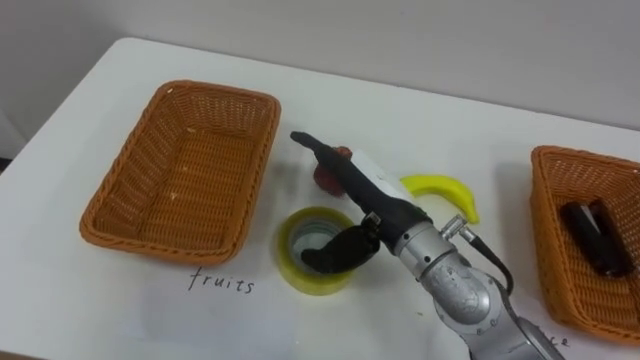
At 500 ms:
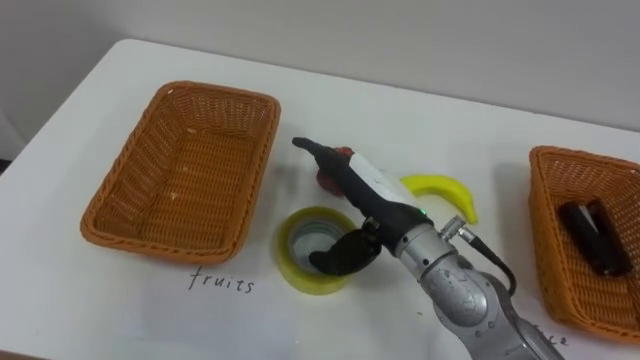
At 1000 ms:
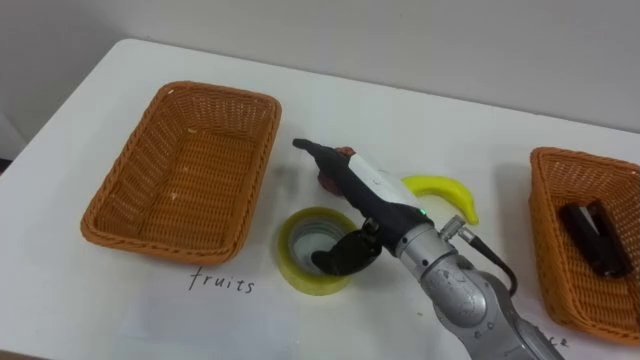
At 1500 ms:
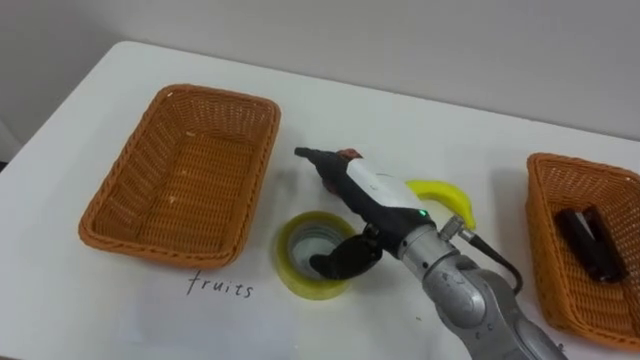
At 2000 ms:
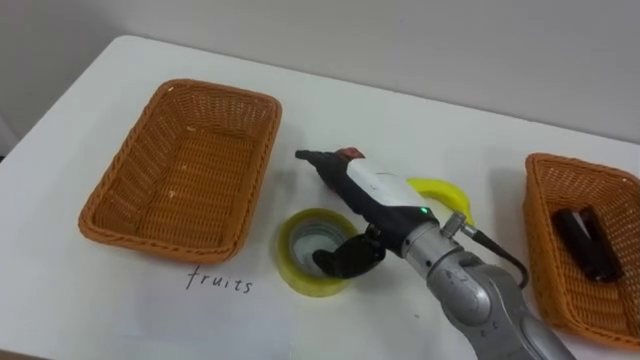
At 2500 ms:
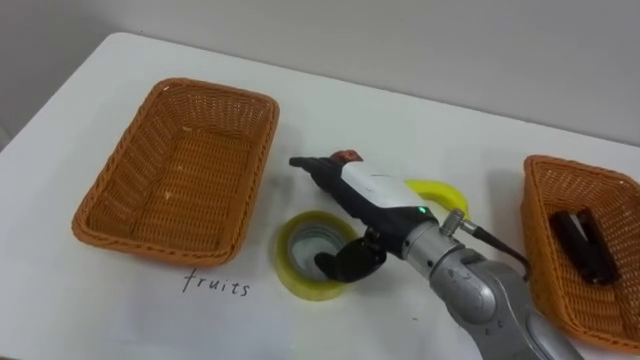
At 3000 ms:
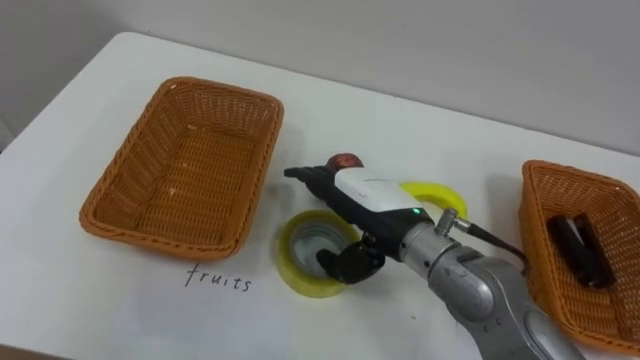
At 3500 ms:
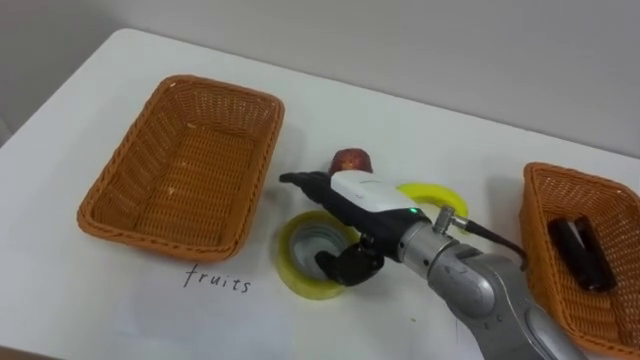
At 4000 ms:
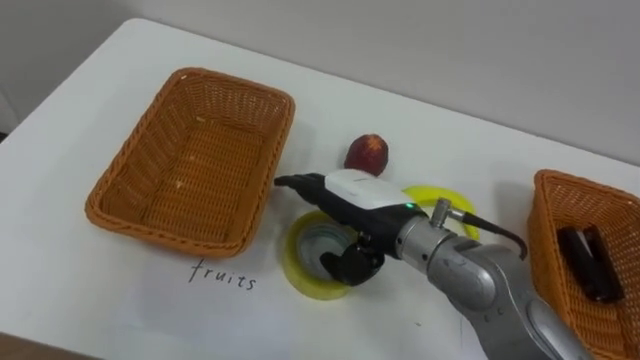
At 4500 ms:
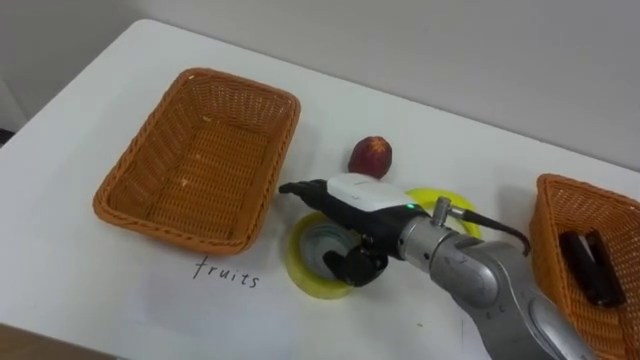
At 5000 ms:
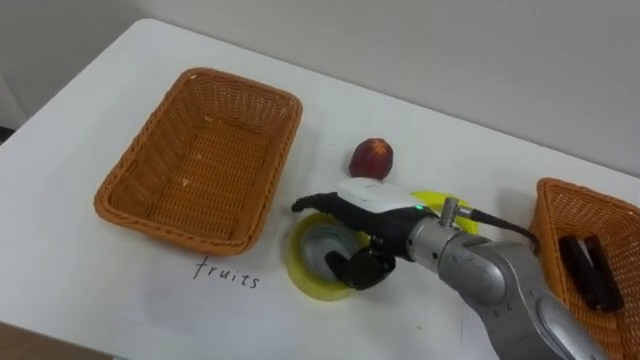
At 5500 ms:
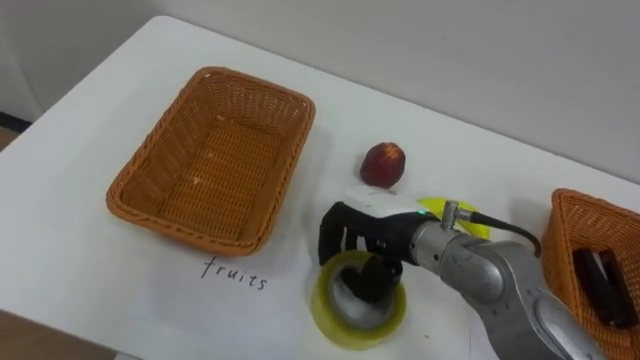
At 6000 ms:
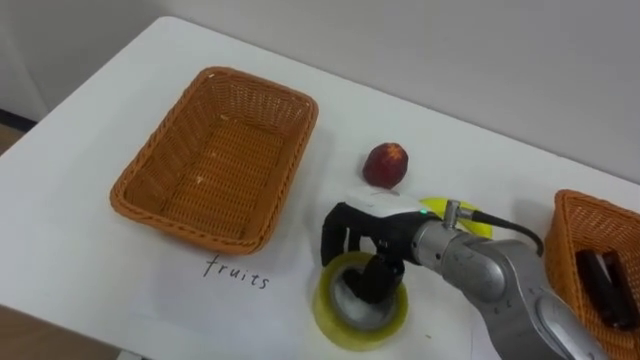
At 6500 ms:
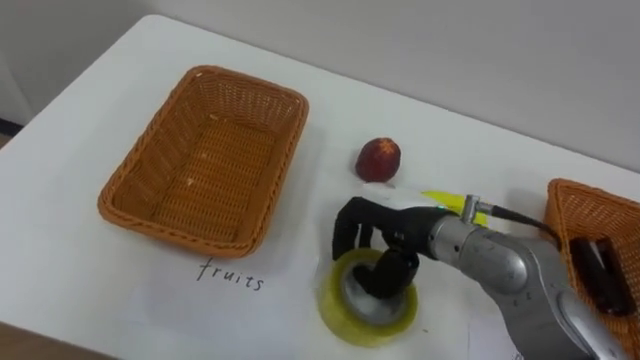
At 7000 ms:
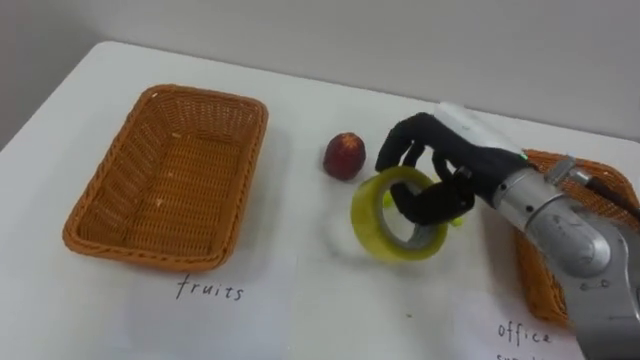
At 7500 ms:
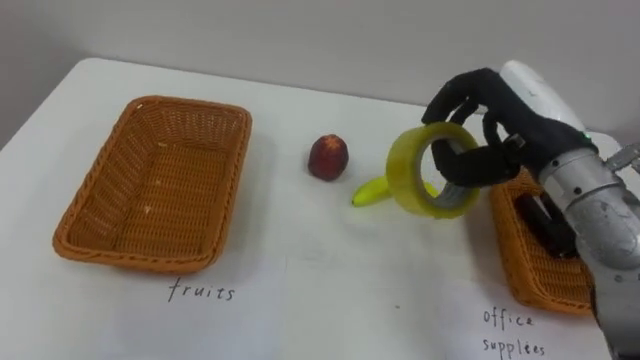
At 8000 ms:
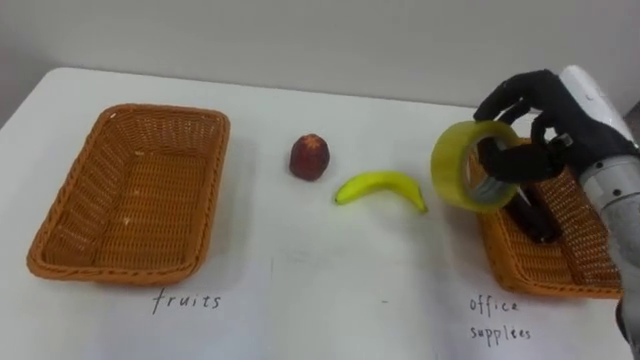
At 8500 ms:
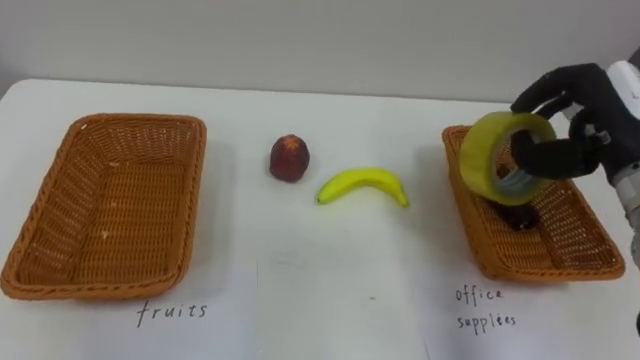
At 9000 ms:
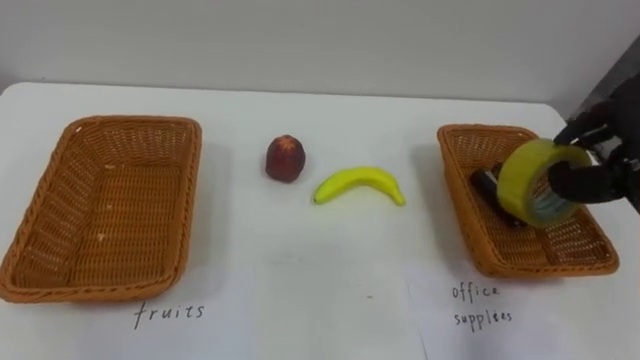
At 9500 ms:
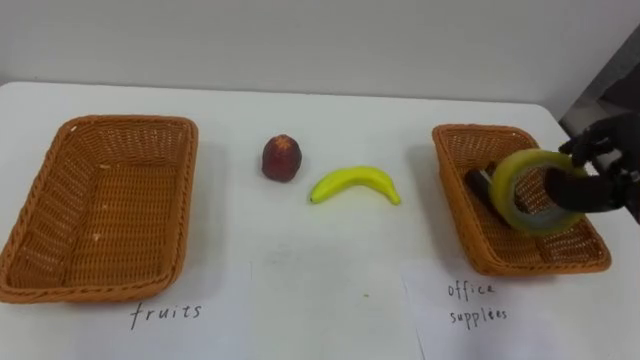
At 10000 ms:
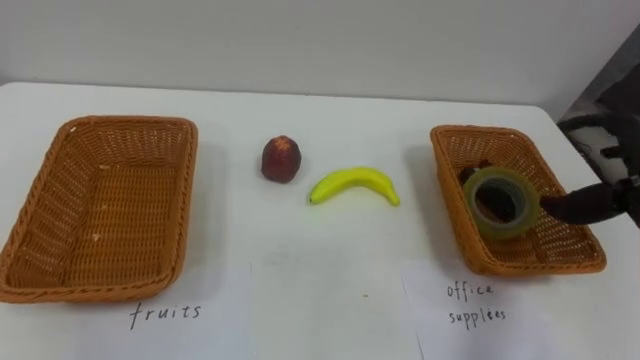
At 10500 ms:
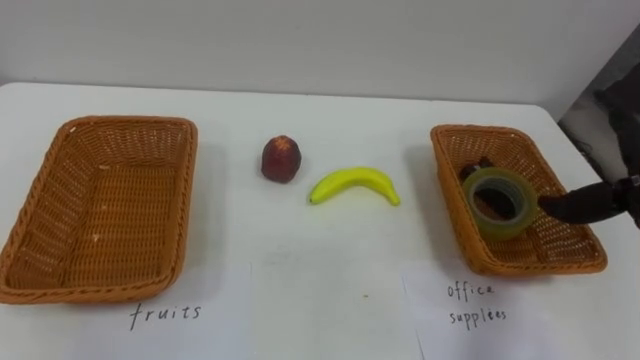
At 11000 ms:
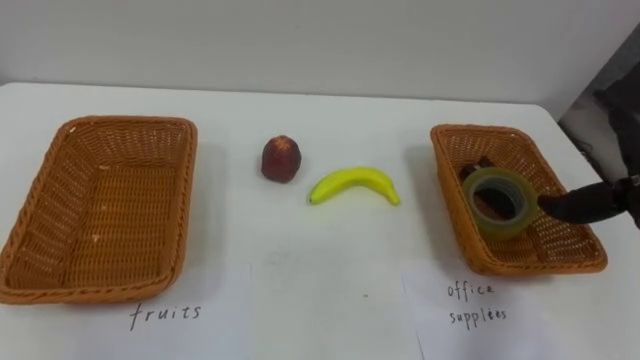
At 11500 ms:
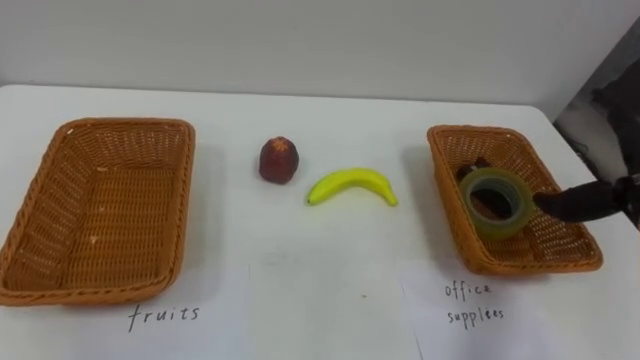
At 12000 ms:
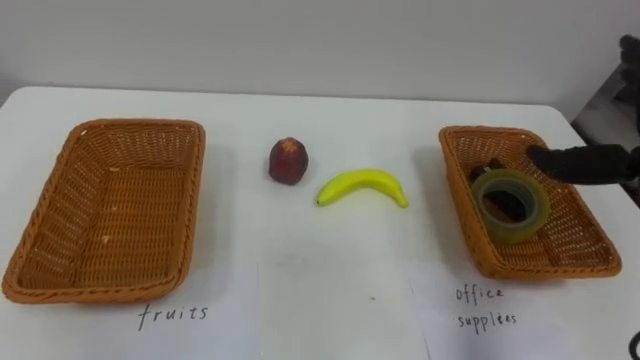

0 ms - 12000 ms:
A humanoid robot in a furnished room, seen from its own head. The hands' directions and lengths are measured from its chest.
Task of the whole recording: Separate the items on the table and place them into the two baskets.
4000 ms - 6000 ms: The right hand closes up.
6000 ms - 8000 ms: The right hand heads to the right and upward, covering approximately 20 cm.

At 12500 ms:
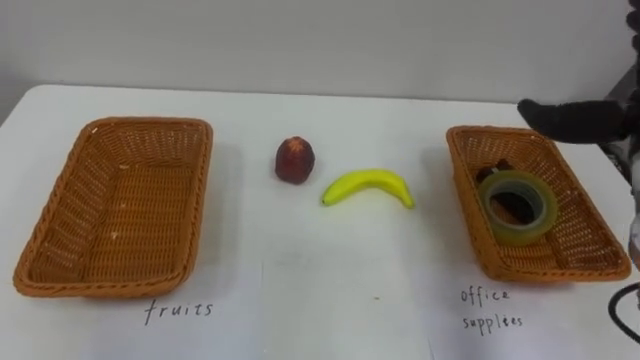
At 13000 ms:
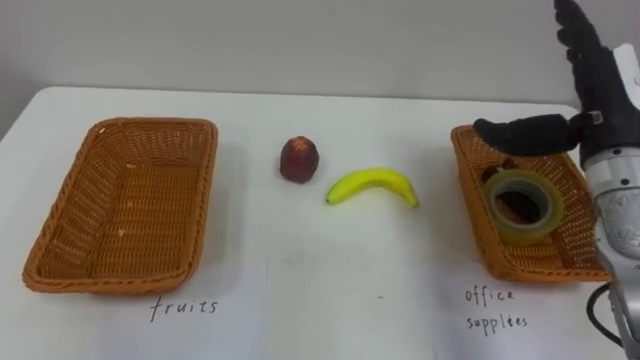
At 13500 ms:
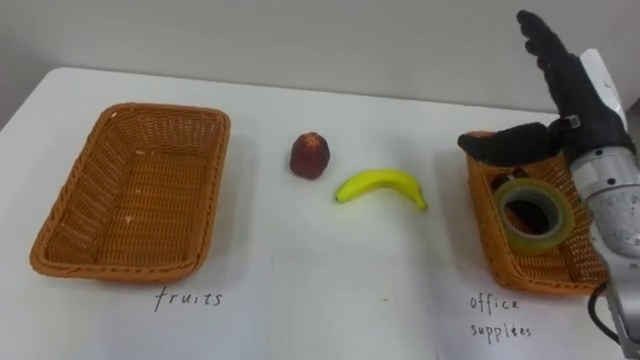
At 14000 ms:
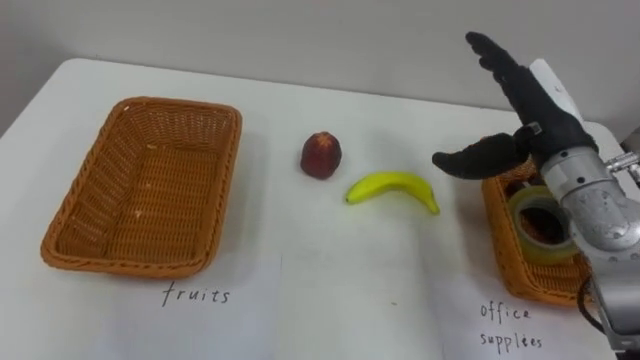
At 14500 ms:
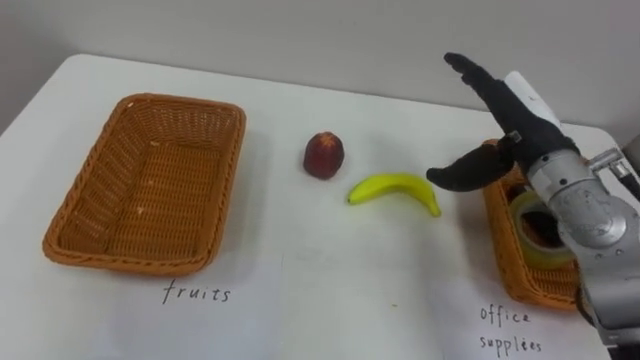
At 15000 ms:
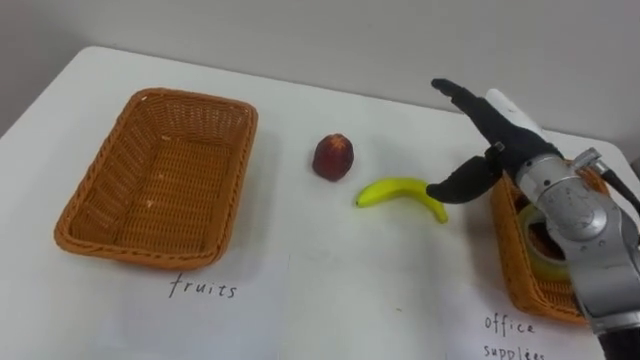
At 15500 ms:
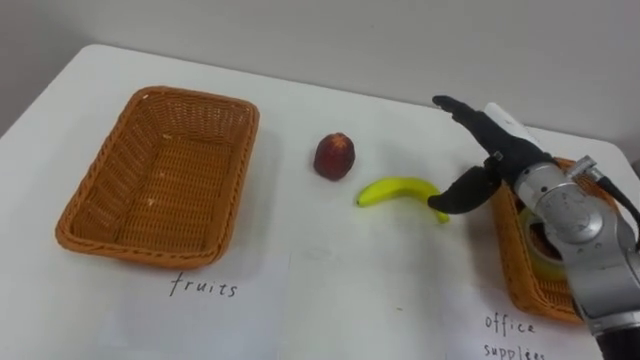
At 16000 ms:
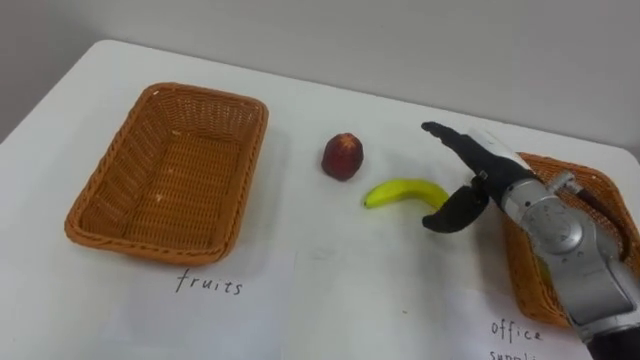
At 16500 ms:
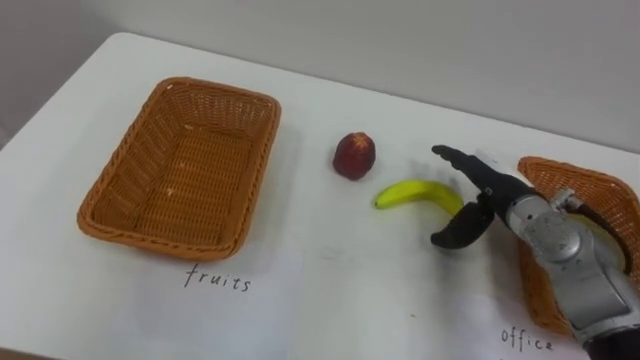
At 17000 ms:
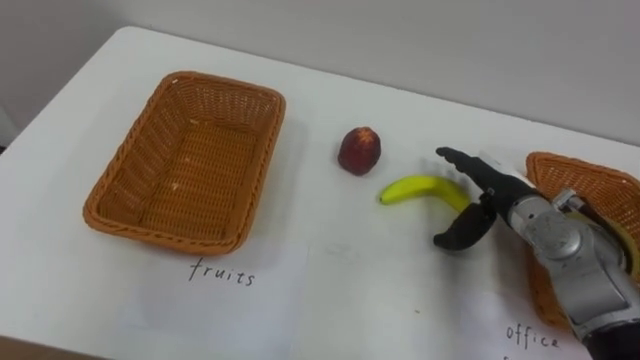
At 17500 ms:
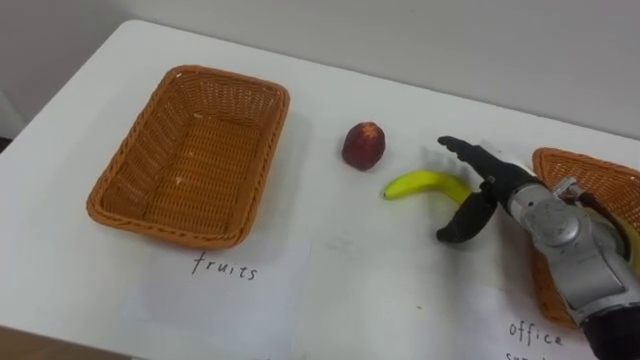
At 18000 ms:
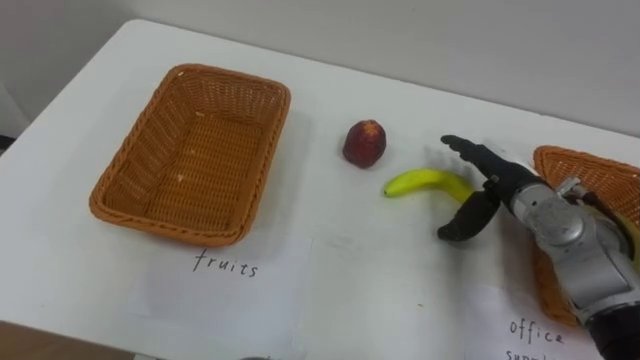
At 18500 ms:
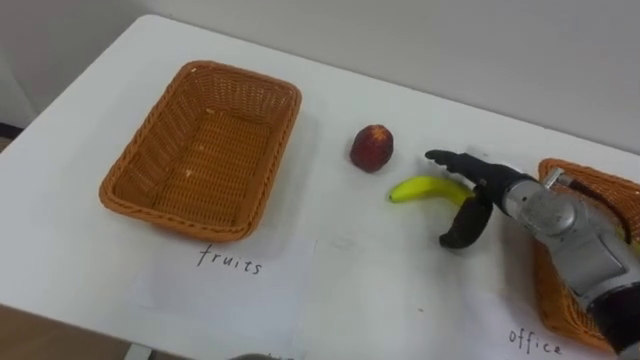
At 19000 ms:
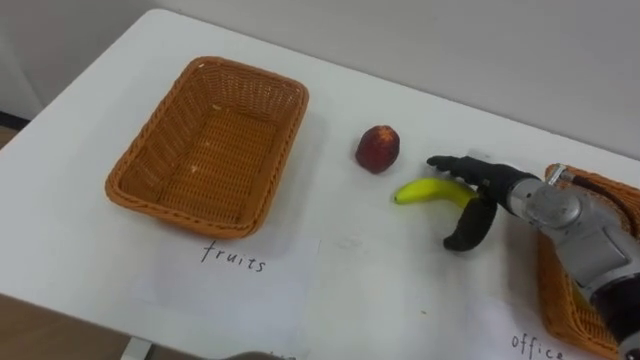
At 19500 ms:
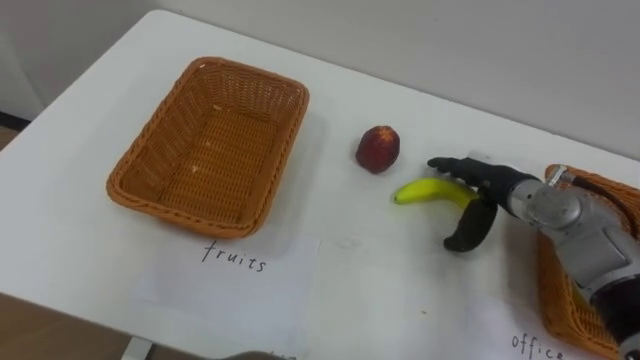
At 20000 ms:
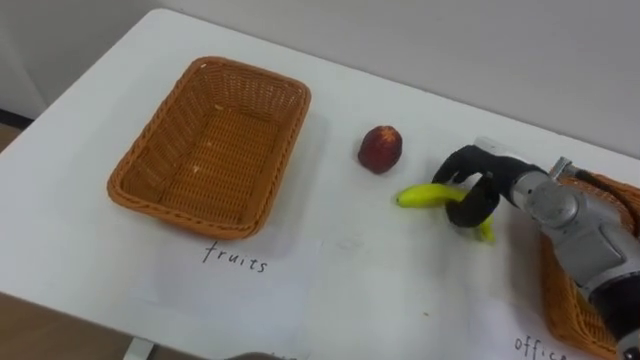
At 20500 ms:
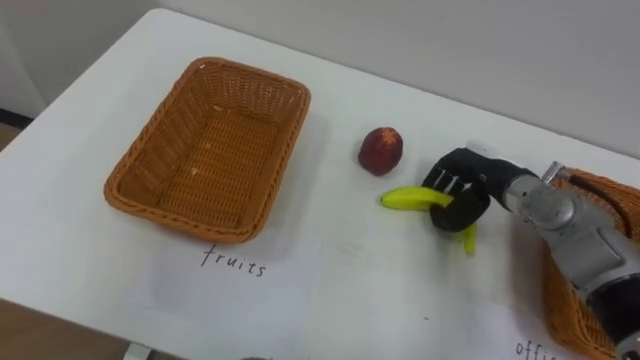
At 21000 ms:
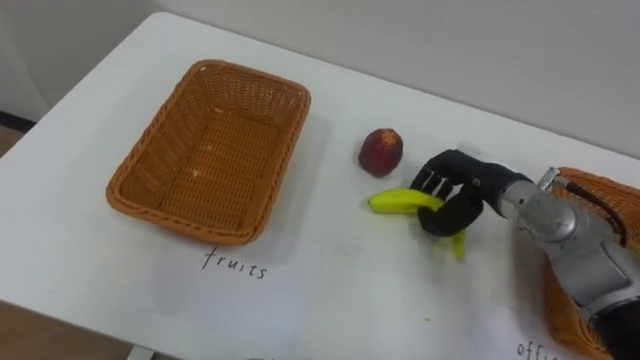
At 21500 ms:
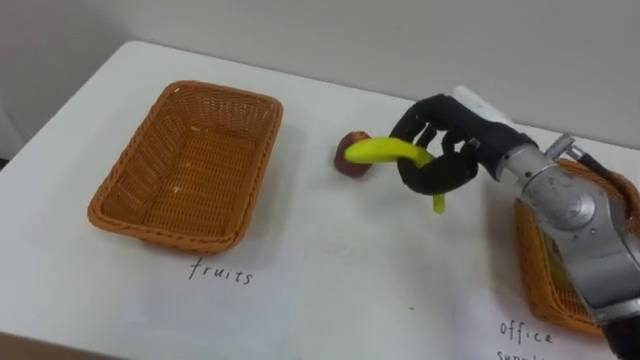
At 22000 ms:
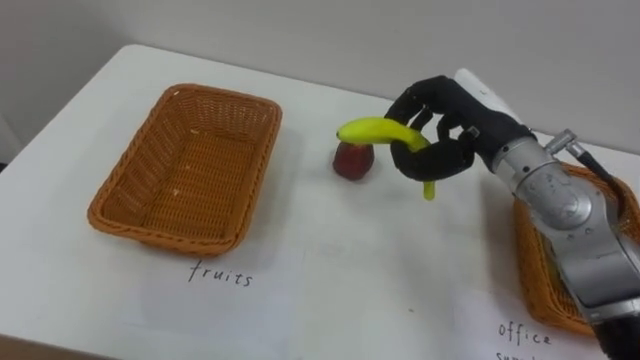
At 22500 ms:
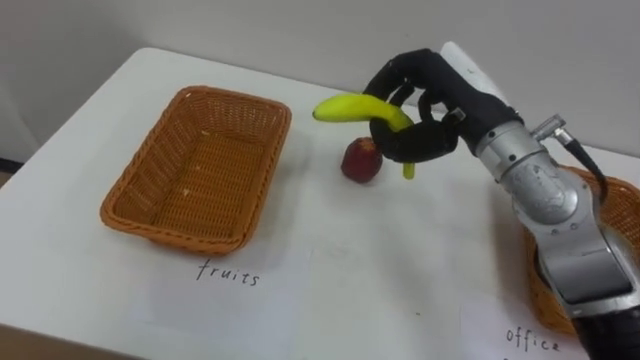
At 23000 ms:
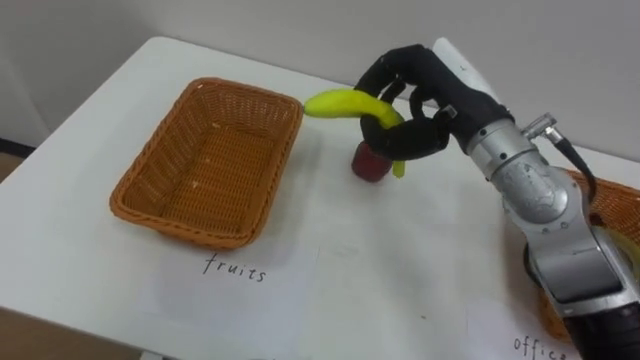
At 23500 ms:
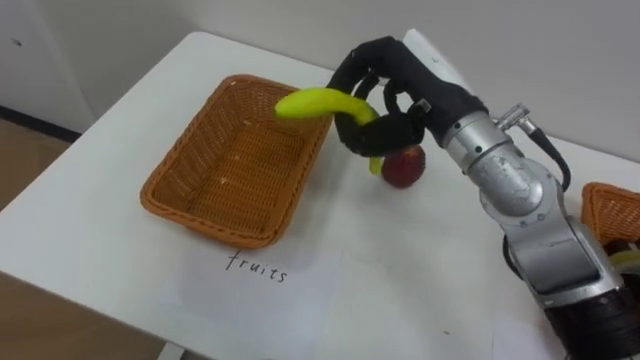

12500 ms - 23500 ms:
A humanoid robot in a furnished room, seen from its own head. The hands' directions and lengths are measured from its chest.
Task of the whole recording: Separate the items on the table and place them into the two baskets.
14500 ms - 16000 ms: The right hand heads downward, covering about 5 cm.
18000 ms - 20000 ms: The right hand closes.
20000 ms - 21500 ms: The right hand goes approximately 10 cm upward and to the left.
21500 ms - 23500 ms: The right hand heads to the left and upward, covering about 10 cm.
